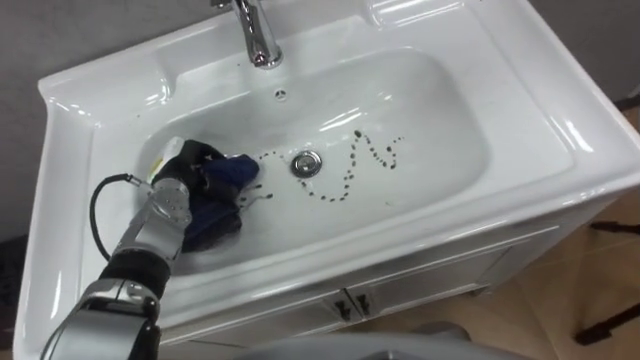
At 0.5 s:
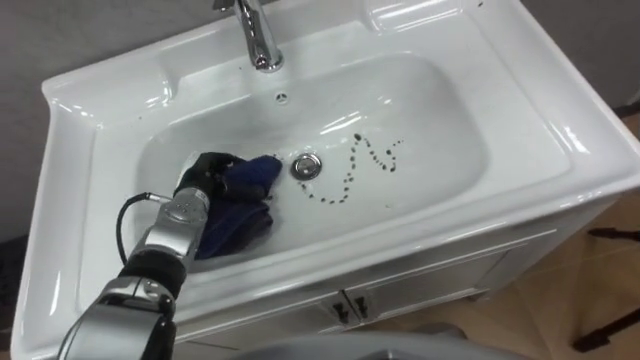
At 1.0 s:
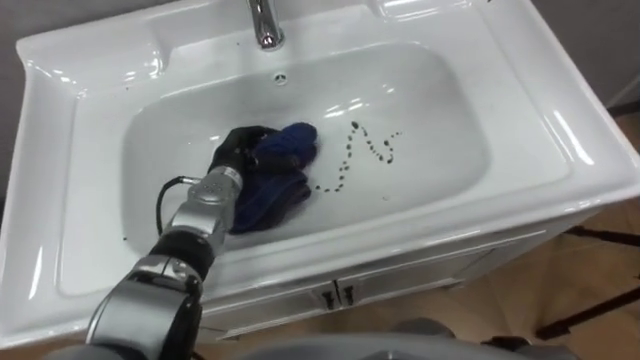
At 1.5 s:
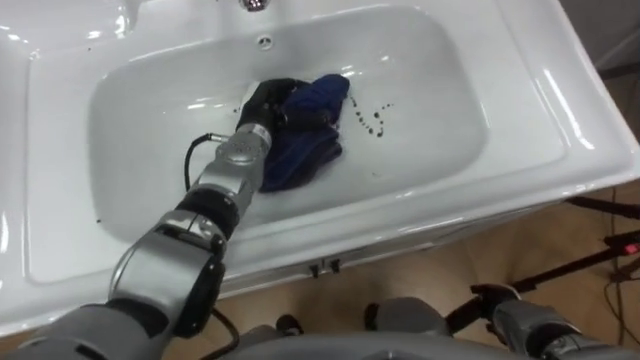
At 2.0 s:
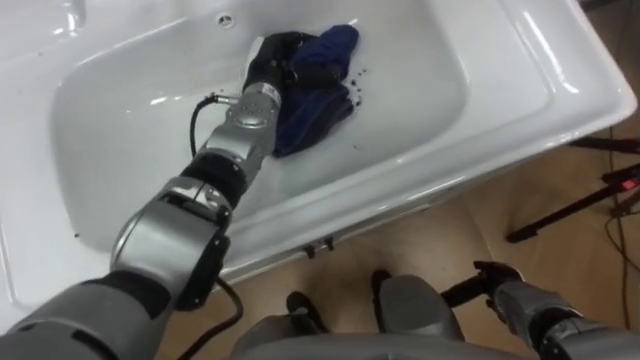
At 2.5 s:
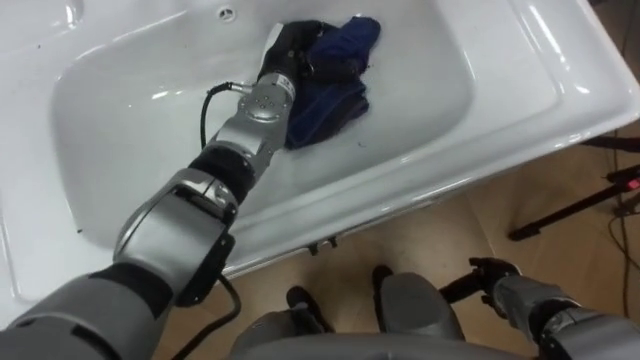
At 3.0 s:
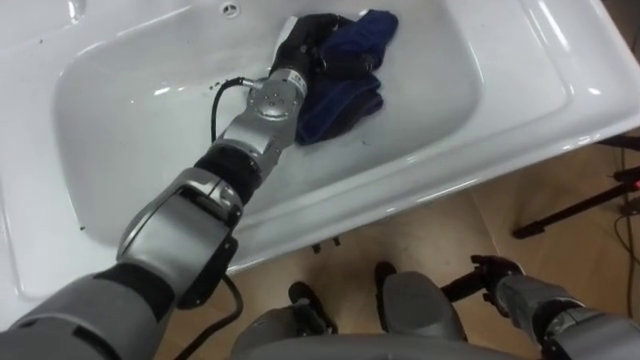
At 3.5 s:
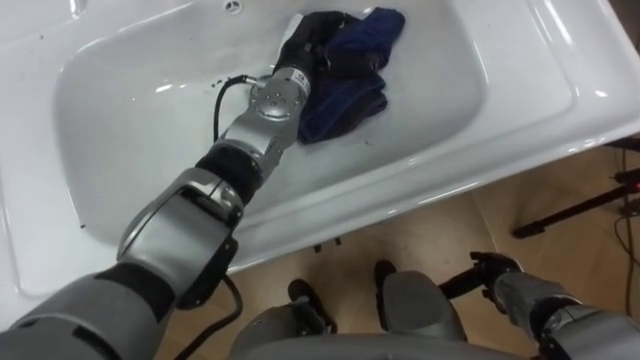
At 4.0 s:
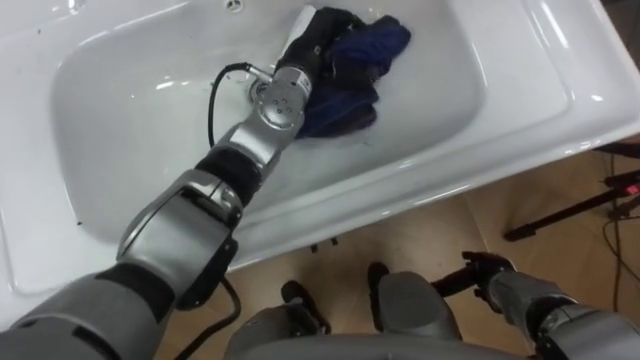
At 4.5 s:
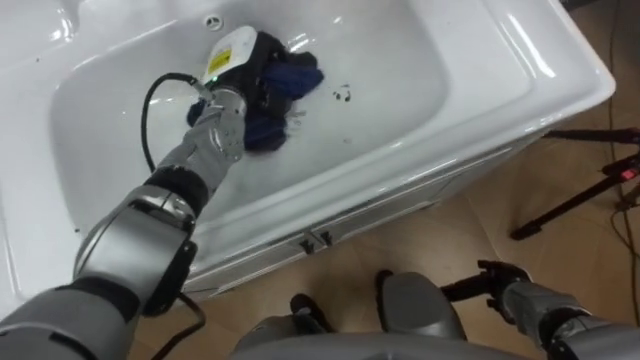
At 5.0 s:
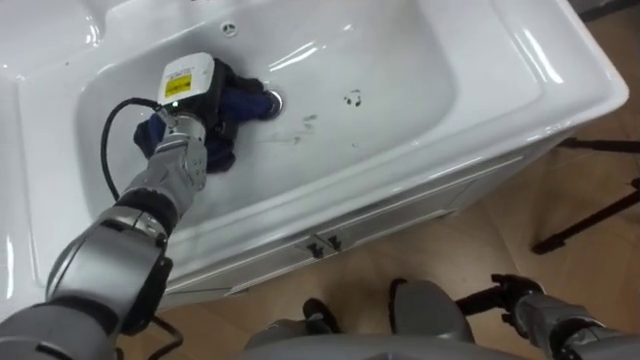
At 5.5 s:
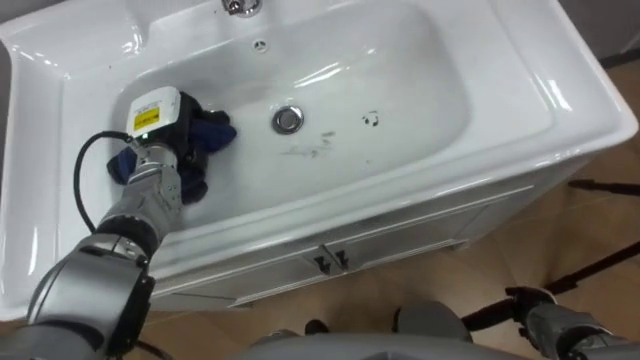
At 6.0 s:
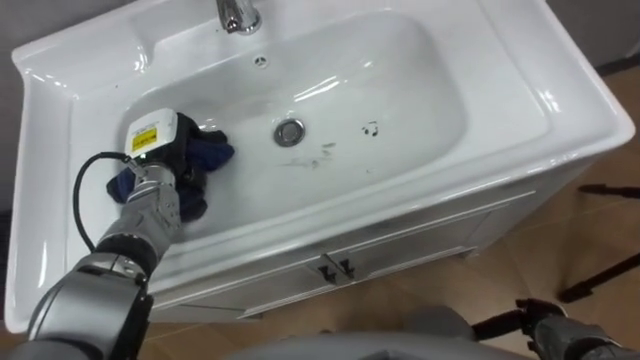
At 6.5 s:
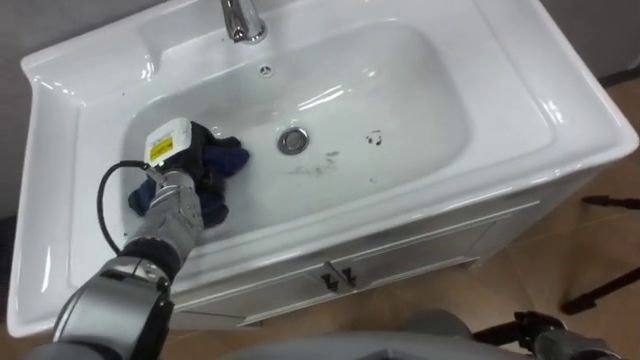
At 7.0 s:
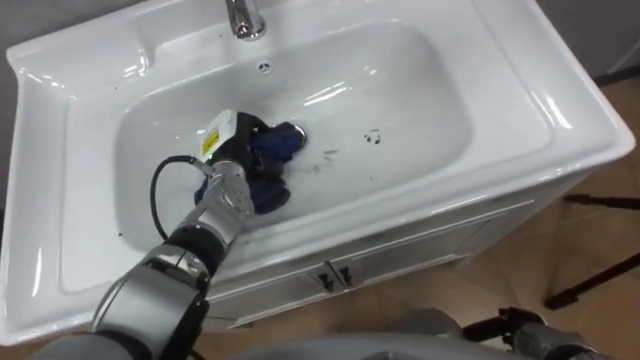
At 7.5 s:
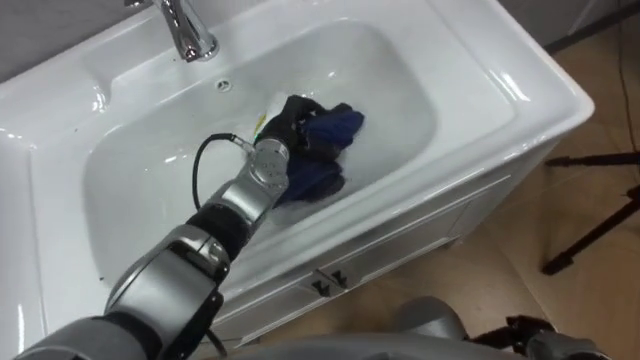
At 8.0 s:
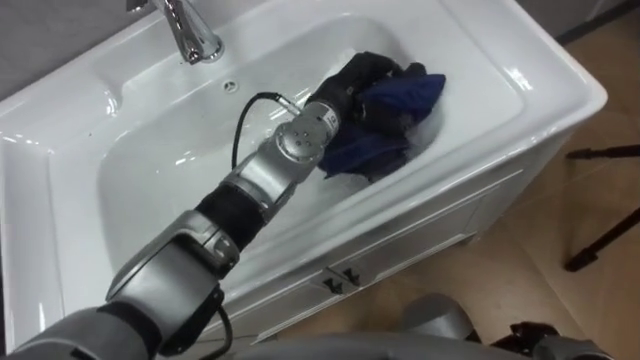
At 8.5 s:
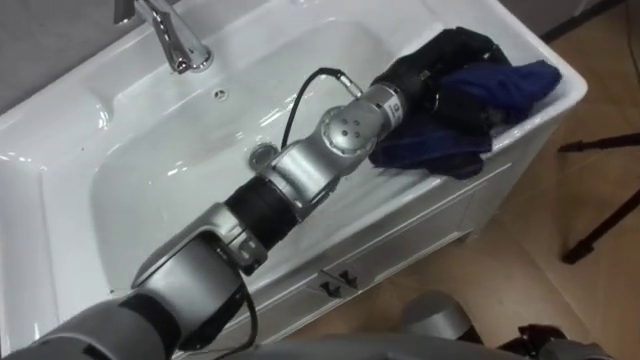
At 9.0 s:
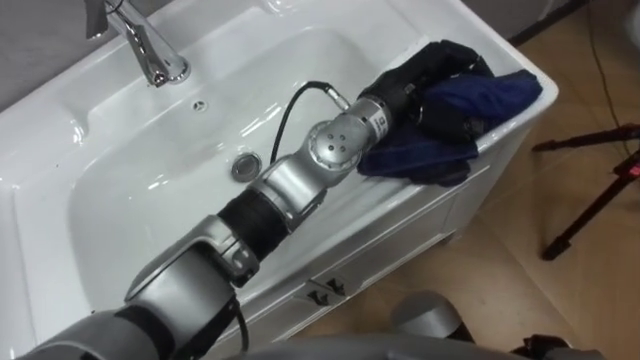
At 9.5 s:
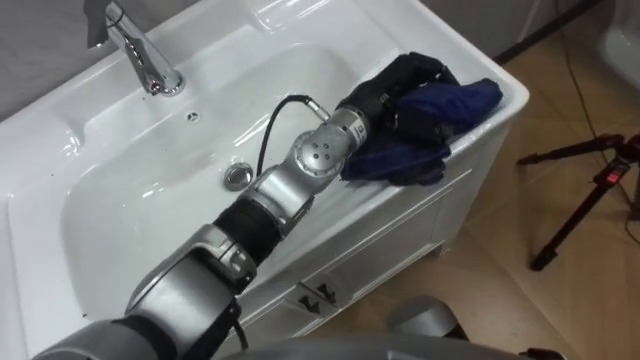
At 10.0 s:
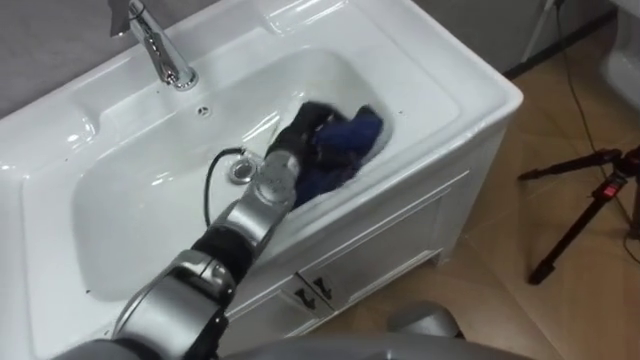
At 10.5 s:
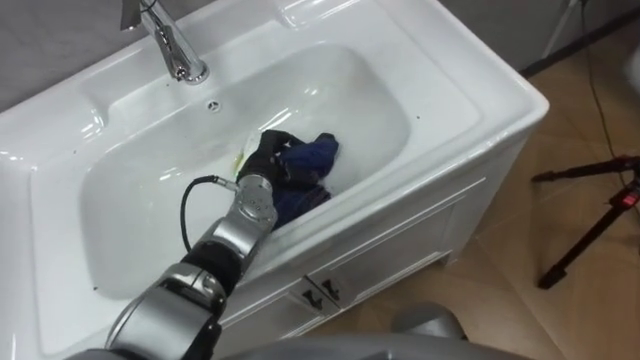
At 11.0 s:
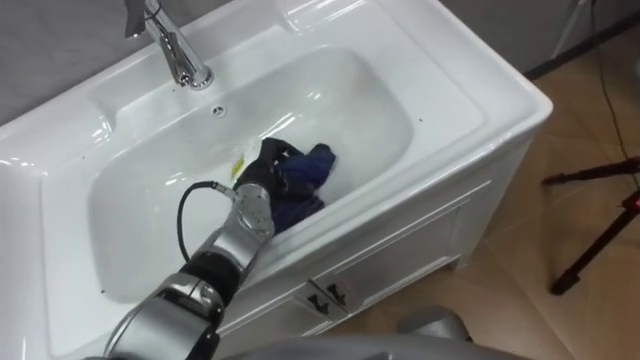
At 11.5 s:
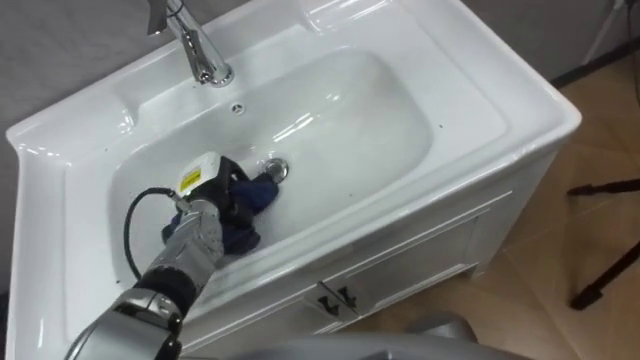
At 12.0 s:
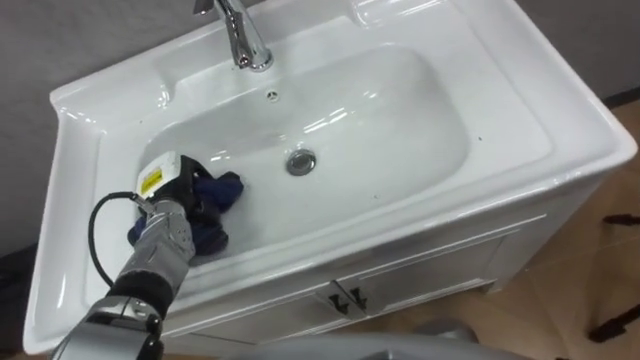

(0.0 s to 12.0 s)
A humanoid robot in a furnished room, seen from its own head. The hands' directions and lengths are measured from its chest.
Task of the whole recording: Use the cloth on the right to wipe away the black stain in the sink.
0.0 s - 2.0 s: The left hand is displaced to the right, forward and upward by approximately 20 cm.
2.0 s - 4.0 s: The left hand moves to the right, approximately 5 cm.
4.0 s - 6.0 s: The right hand moves backward and to the right, about 10 cm, while the left hand shifts approximately 25 cm to the left and downward.
6.0 s - 8.0 s: The left hand goes about 25 cm to the right.
8.0 s - 10.0 s: The left hand moves downward and to the left, approximately 10 cm.
10.0 s - 12.0 s: The left hand goes approximately 20 cm to the left.

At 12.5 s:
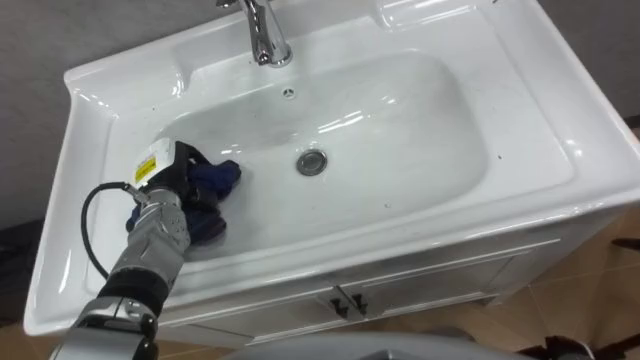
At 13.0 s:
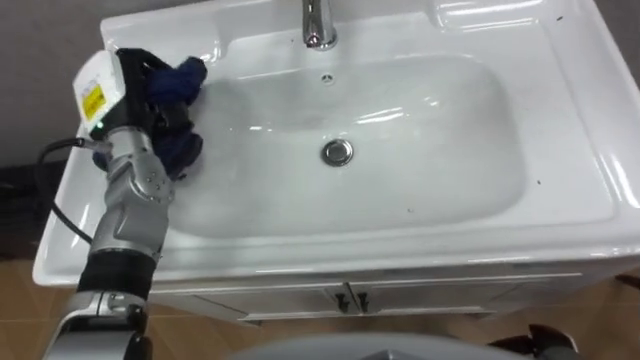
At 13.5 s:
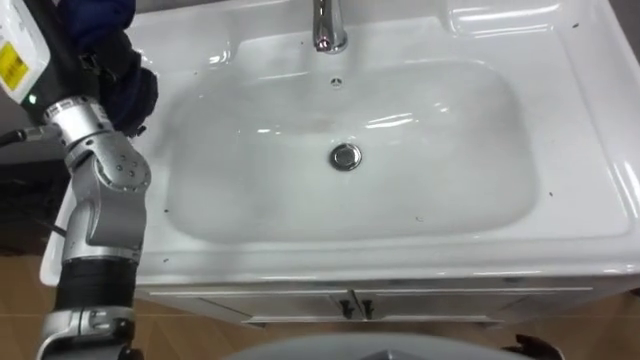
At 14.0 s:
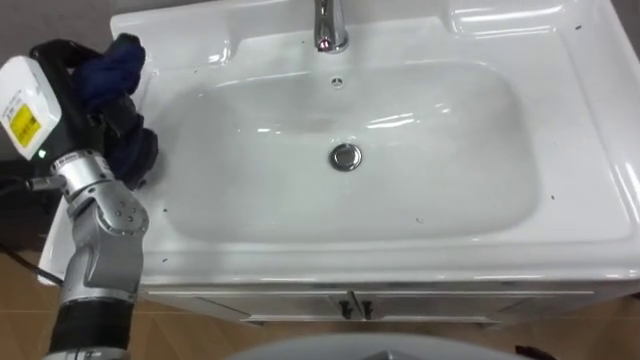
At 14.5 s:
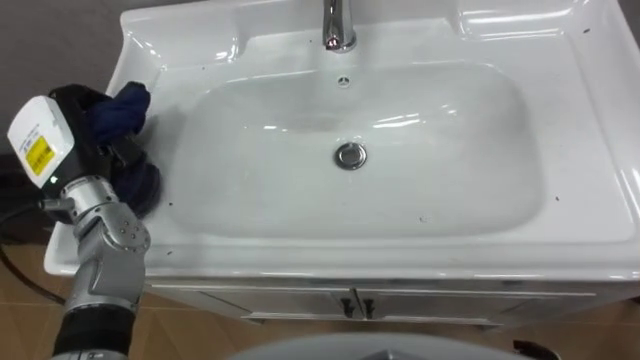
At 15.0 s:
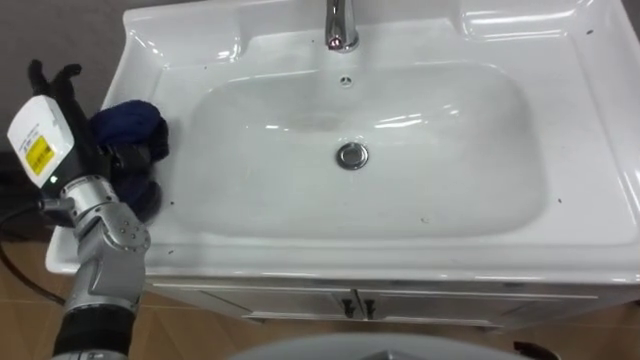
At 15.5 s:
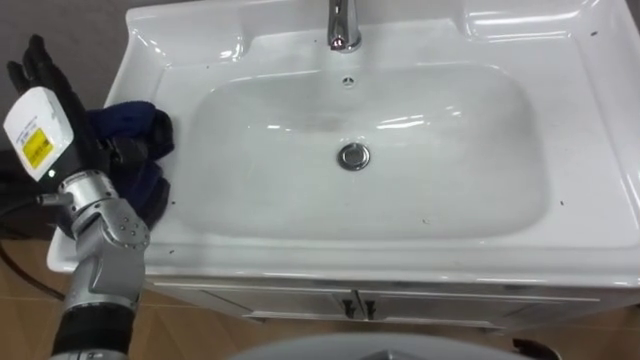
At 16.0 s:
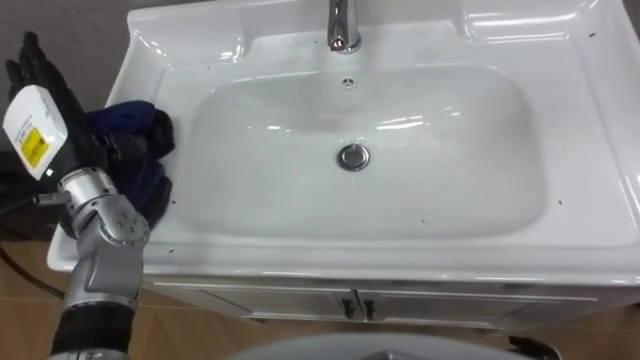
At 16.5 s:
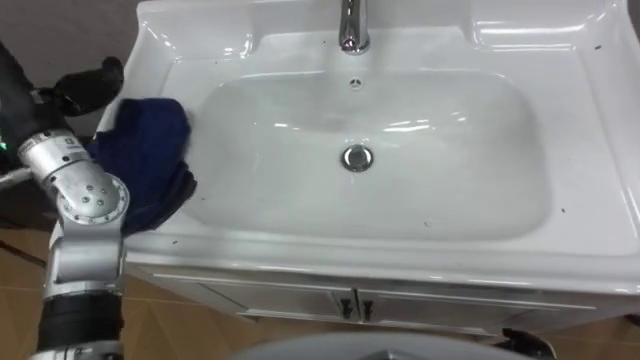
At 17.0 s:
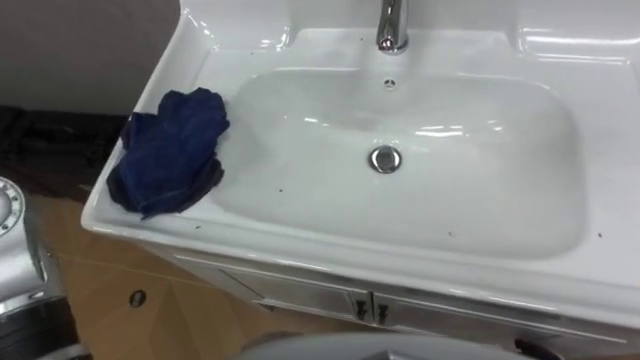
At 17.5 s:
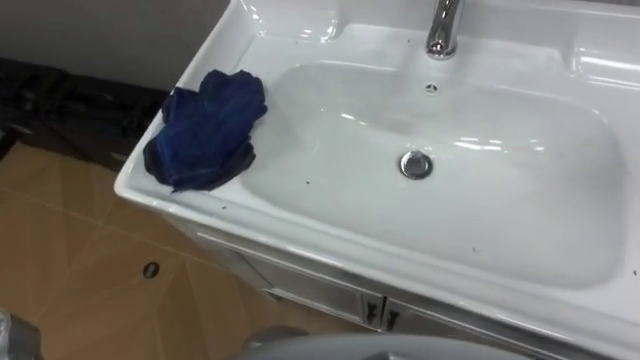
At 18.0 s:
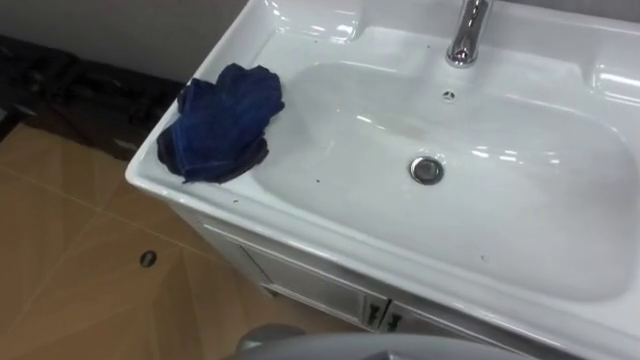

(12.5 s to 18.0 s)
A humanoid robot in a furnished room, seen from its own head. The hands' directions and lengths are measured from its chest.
Task of the whole recording: Use the cloth on the right to wipe away the black stain in the sink.
12.5 s - 14.5 s: The left hand is displaced upward and to the left by roughly 15 cm.
14.5 s - 16.0 s: The left hand opens up.

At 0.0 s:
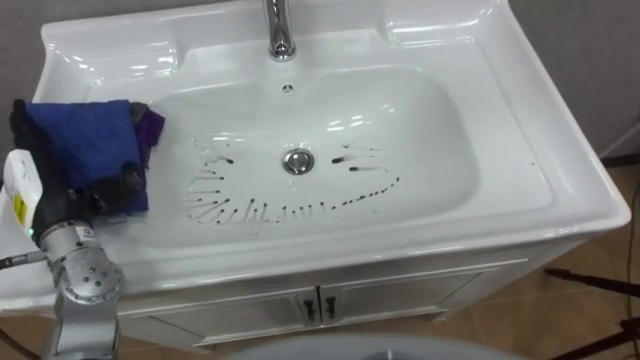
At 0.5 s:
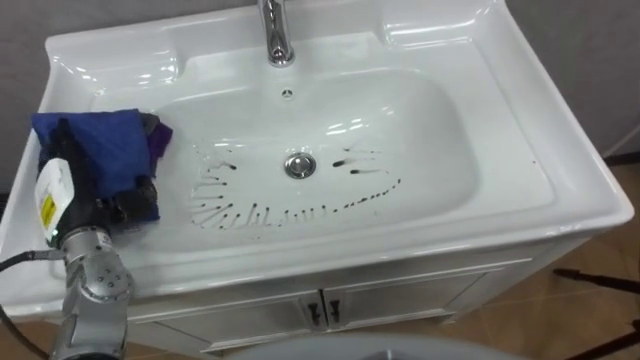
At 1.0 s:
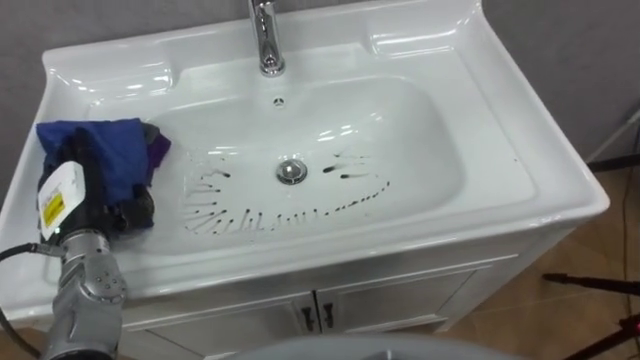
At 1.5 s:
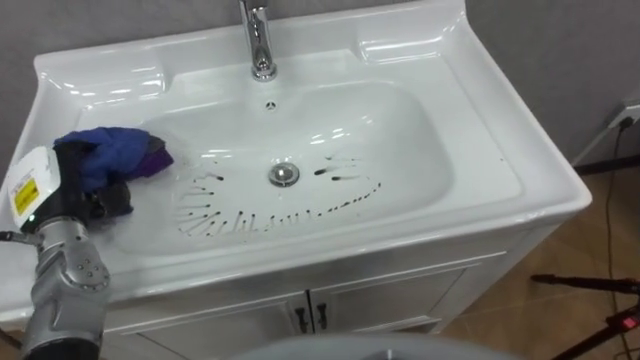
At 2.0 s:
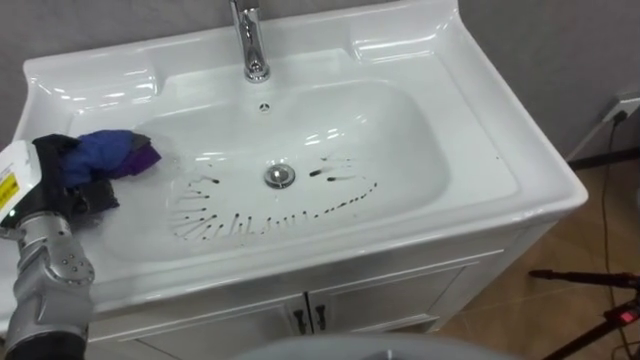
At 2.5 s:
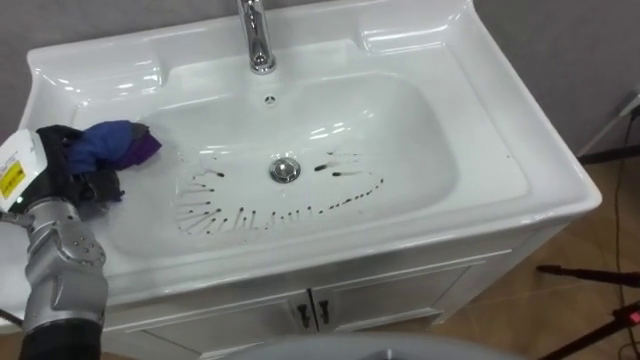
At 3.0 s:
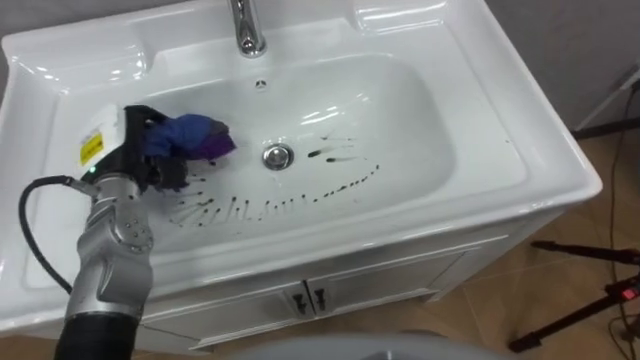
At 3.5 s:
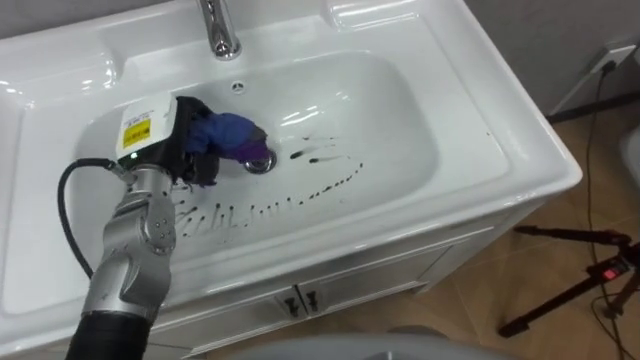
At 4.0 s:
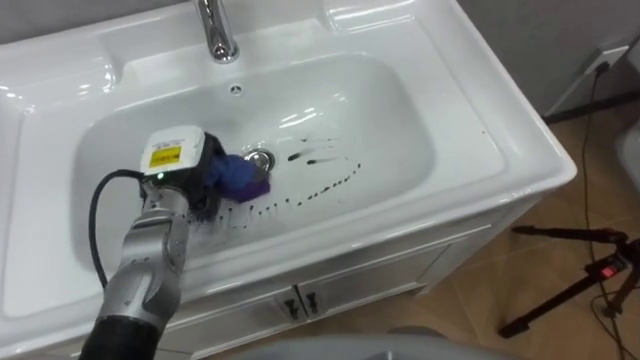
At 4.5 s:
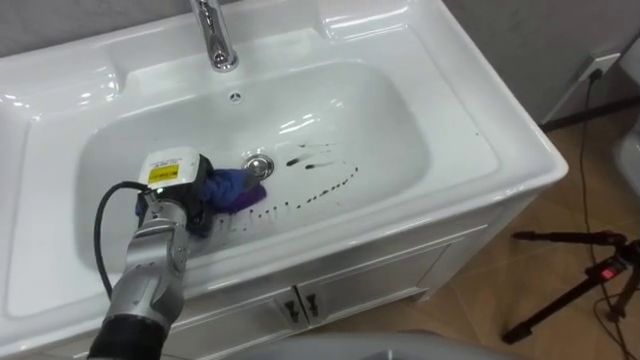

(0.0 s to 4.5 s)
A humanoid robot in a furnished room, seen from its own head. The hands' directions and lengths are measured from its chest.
Task of the whole recording: Use the cloth on the right to wipe away the black stain in the sink.
0.0 s - 2.0 s: The left hand closes its fingers.
2.0 s - 4.5 s: The left hand travels to the right by some 15 cm.
